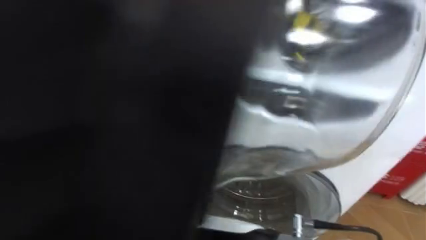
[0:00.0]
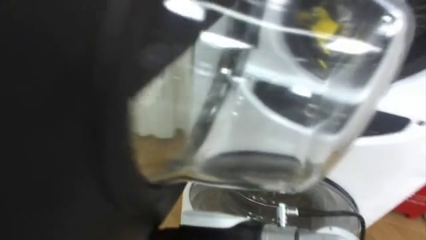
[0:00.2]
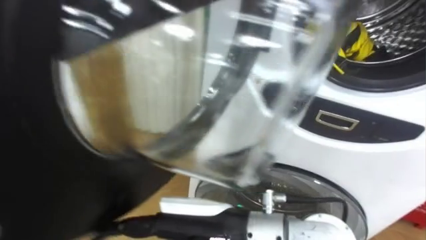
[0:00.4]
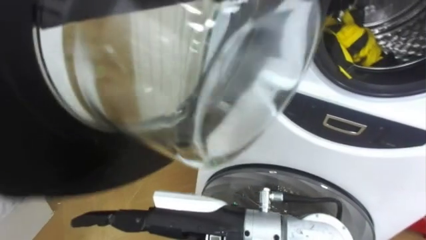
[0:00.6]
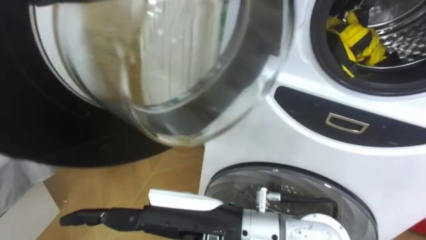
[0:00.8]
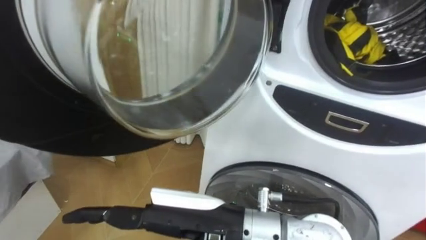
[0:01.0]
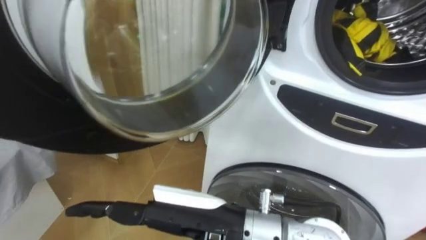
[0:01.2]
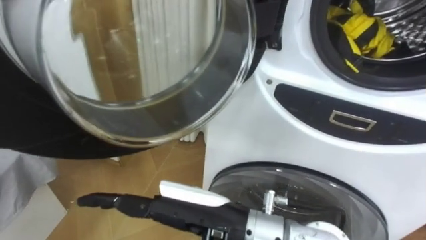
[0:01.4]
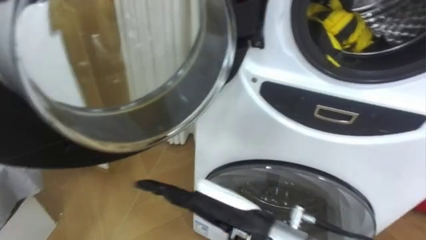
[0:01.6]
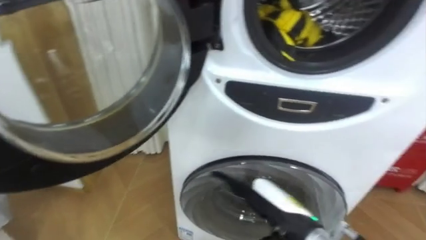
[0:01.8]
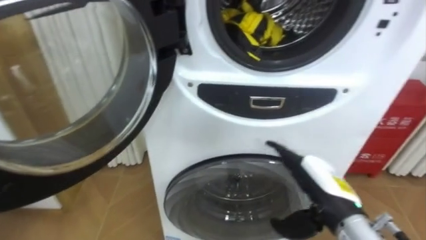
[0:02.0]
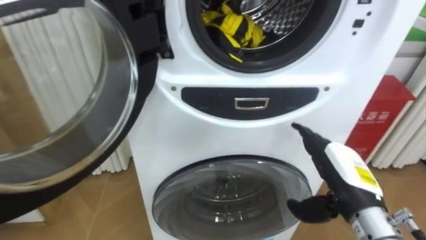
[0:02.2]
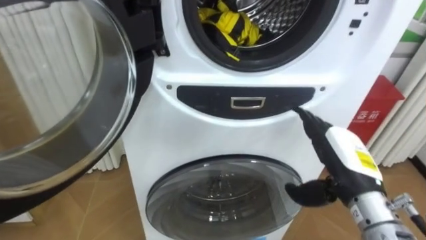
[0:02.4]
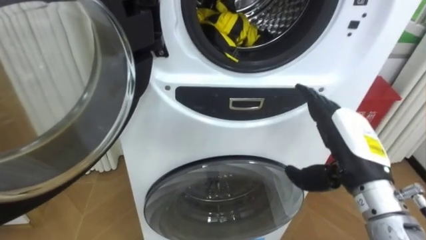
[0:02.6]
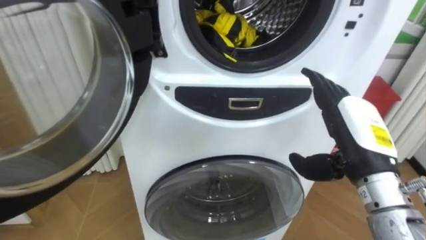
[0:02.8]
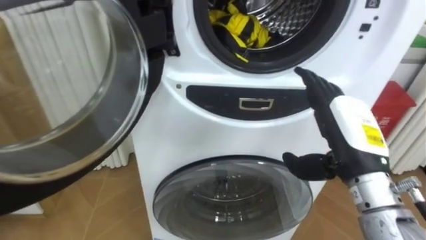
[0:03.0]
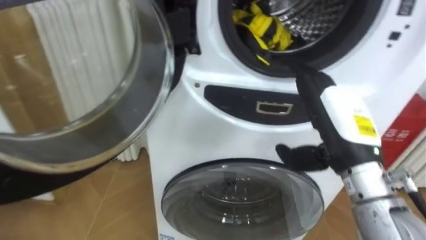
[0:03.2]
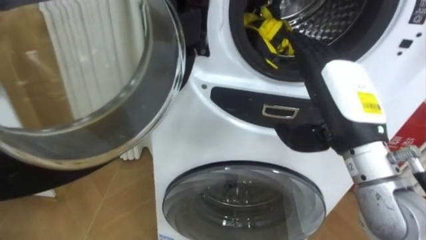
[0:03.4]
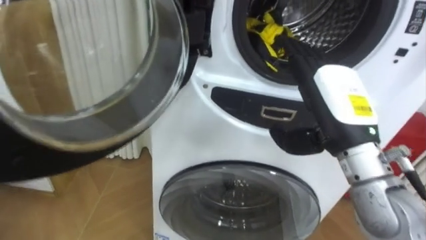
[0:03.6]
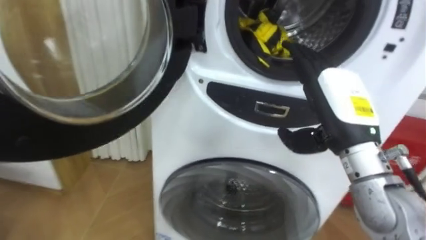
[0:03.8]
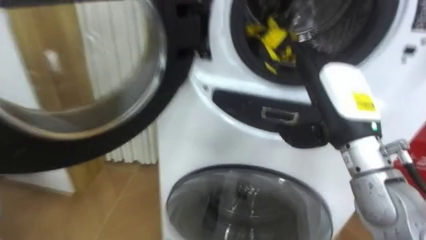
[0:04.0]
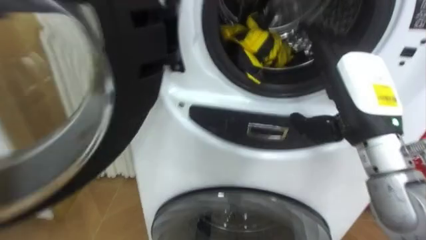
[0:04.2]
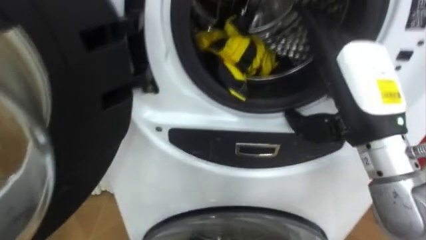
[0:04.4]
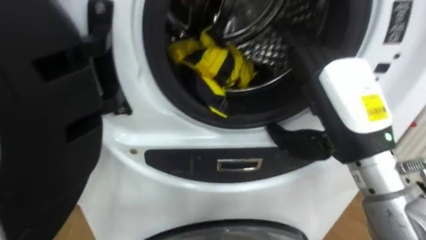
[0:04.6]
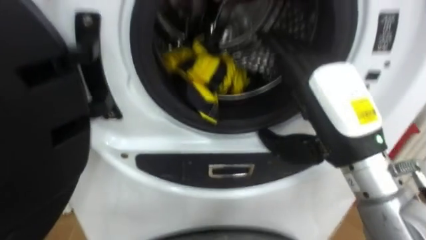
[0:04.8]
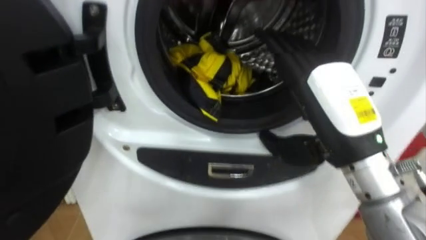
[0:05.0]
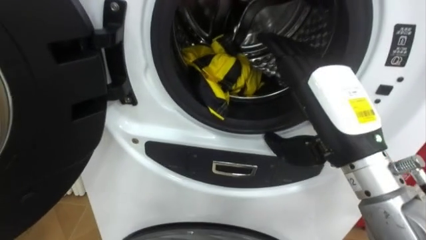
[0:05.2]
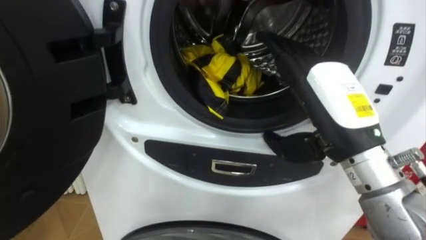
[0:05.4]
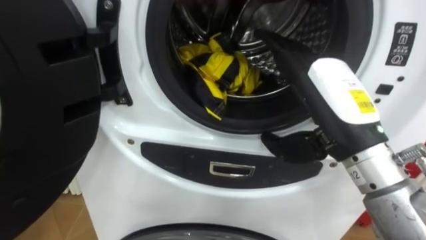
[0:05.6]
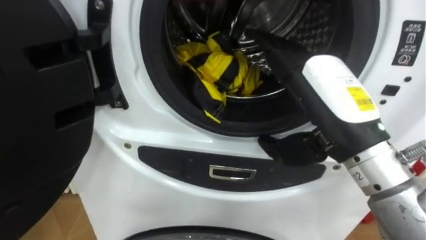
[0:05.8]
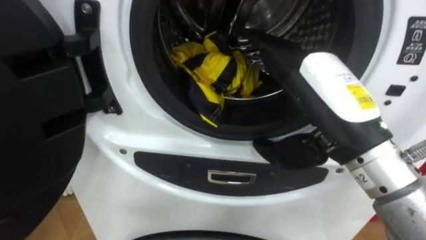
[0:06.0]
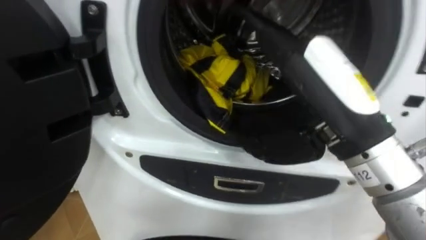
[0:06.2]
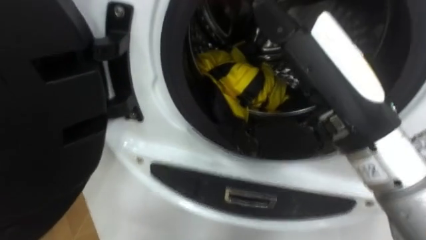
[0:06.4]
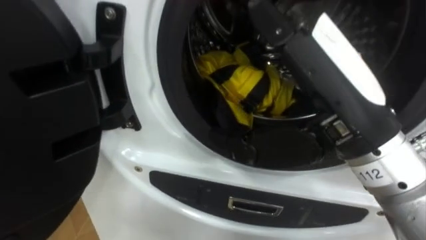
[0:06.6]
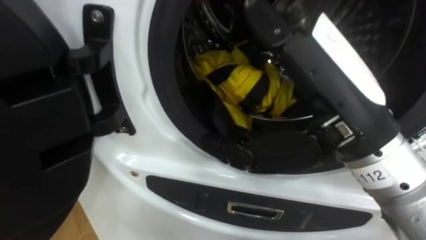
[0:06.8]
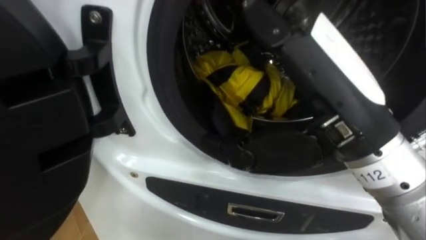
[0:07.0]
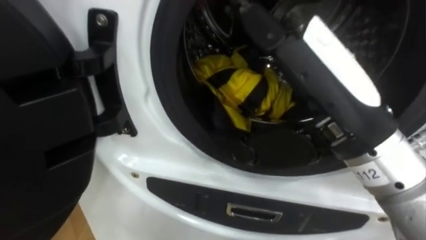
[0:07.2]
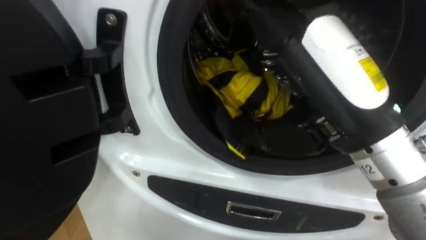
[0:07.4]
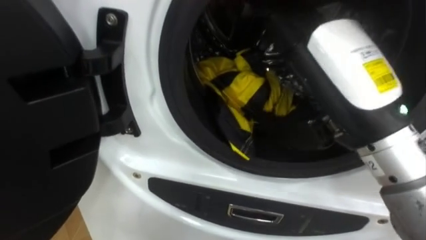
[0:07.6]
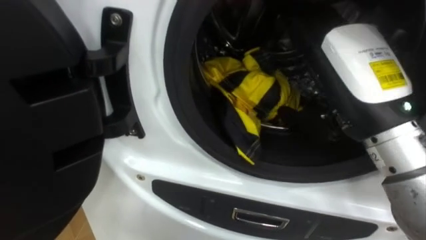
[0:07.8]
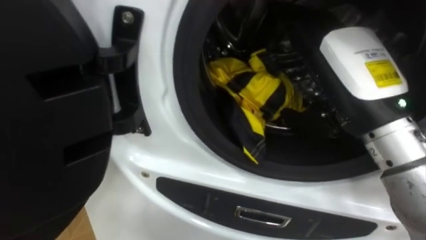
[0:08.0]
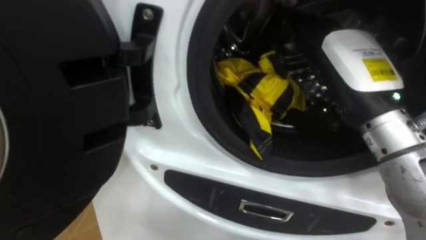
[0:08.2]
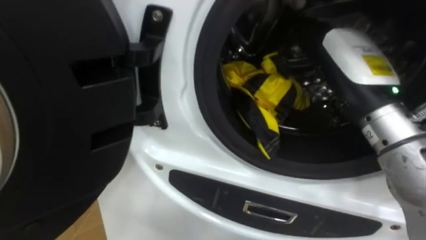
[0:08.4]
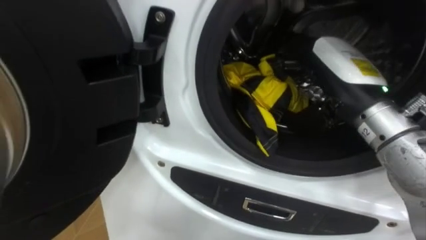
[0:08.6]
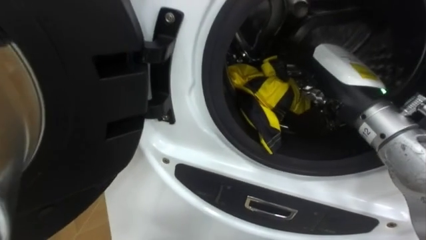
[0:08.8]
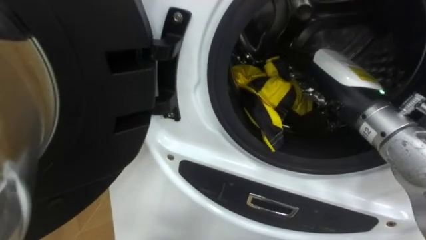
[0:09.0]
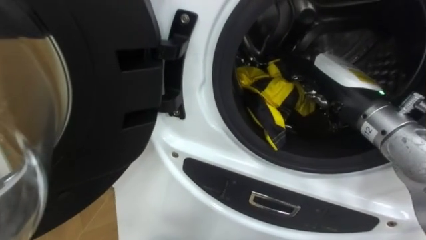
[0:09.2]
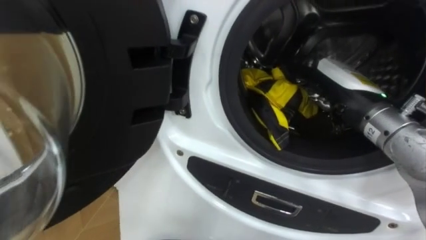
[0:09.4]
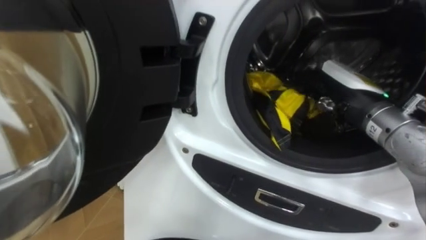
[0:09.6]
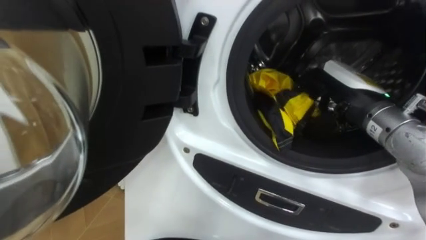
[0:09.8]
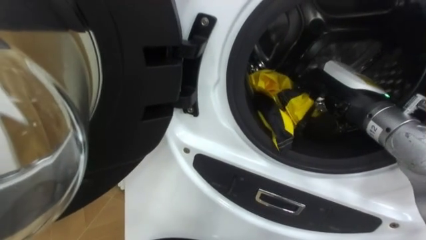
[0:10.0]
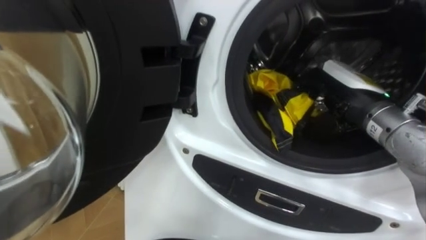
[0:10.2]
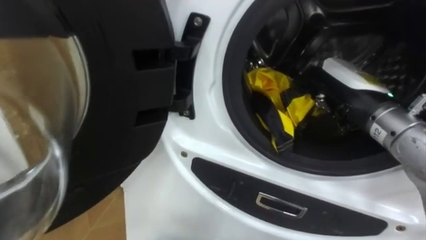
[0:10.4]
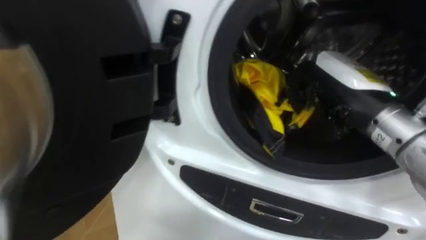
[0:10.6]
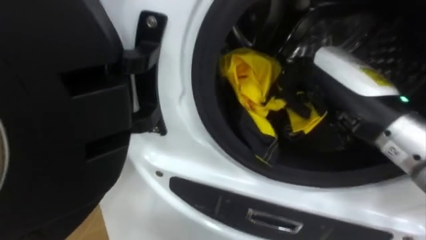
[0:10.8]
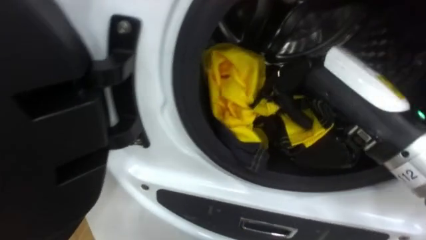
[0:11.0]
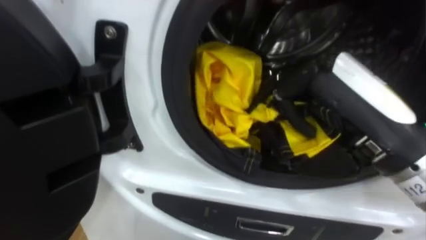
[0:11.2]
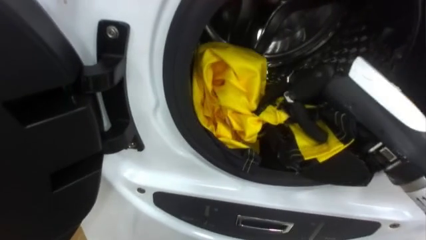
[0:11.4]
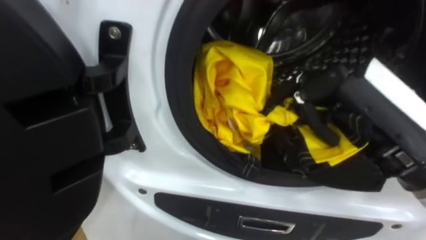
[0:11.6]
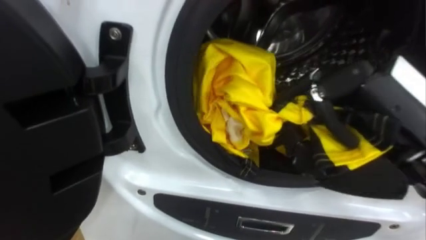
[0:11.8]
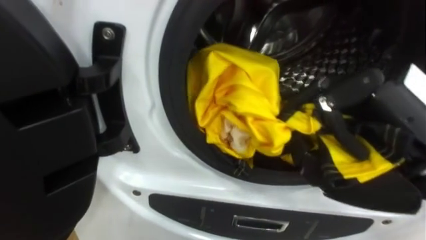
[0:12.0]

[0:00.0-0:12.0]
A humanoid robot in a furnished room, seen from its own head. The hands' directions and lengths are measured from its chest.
Task of the whole recording: Open the washing machine door, take out the yellow clothes, place them in the box on the right, and close the washing machine door.
0:01.6 to 0:03.0: The right hand moves to the right and forward, some 20 cm.
0:03.0 to 0:04.4: The right hand travels upward by roughly 5 cm.
0:04.4 to 0:06.0: The right hand ends up roughly 5 cm from where it was.
0:07.6 to 0:09.0: The right hand is displaced forward and downward by some 10 cm.
0:09.0 to 0:10.4: The right hand closes.
0:10.4 to 0:12.0: The right hand moves backward and upward, about 15 cm.

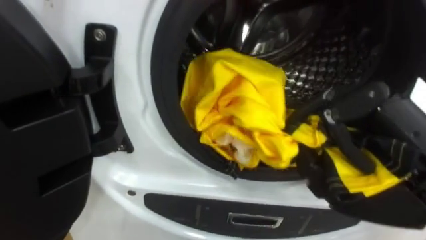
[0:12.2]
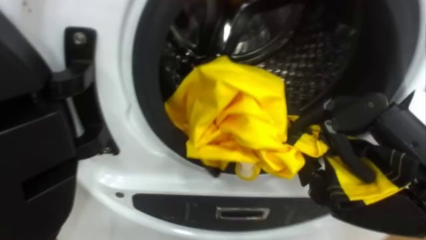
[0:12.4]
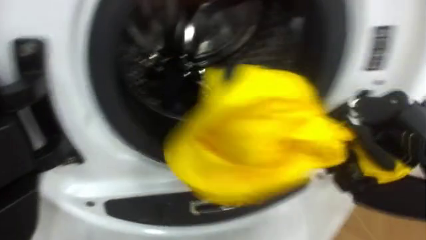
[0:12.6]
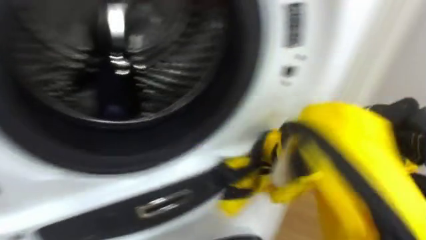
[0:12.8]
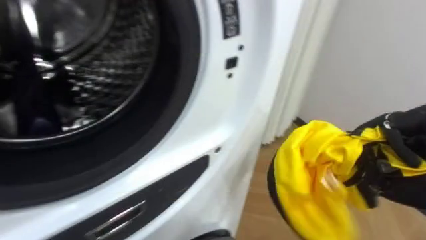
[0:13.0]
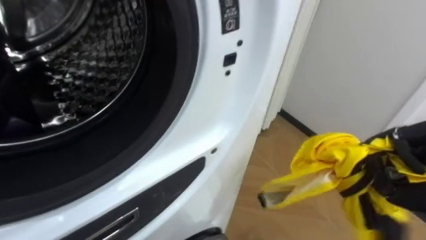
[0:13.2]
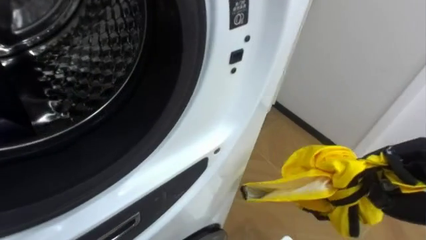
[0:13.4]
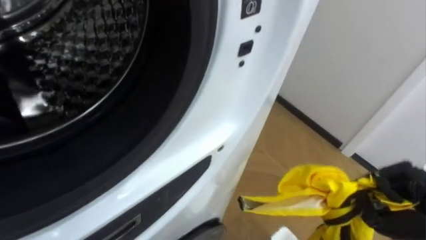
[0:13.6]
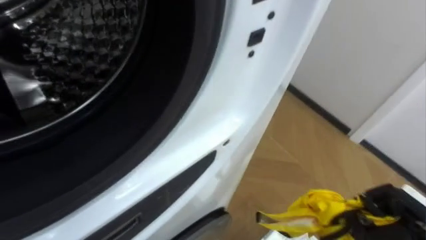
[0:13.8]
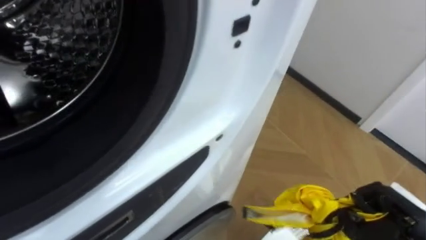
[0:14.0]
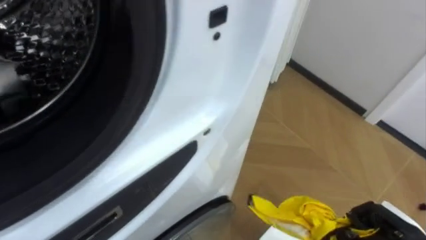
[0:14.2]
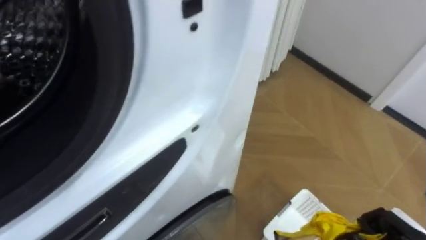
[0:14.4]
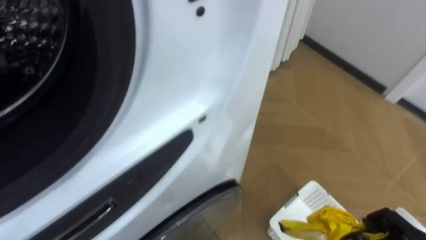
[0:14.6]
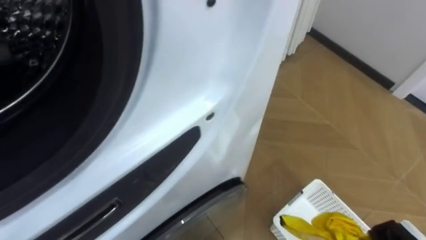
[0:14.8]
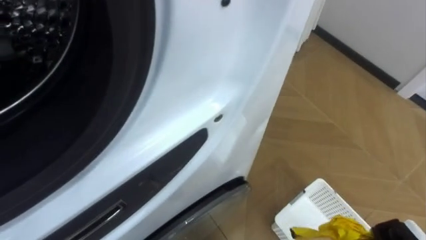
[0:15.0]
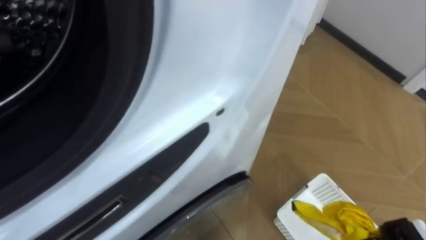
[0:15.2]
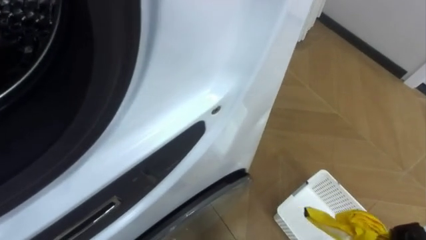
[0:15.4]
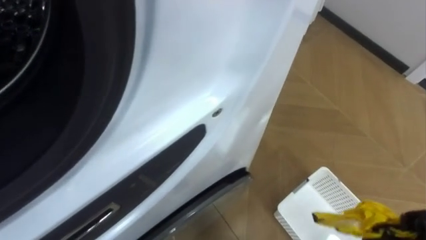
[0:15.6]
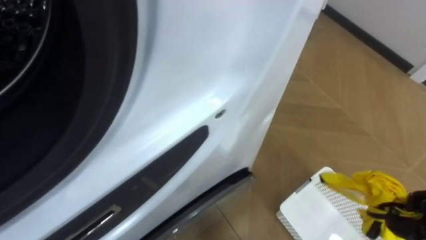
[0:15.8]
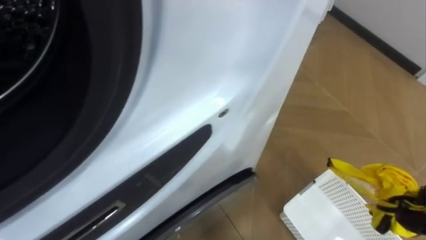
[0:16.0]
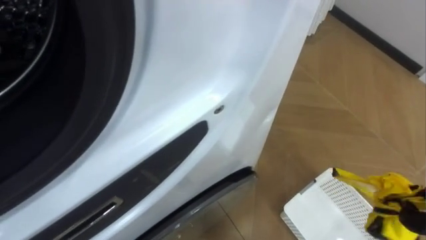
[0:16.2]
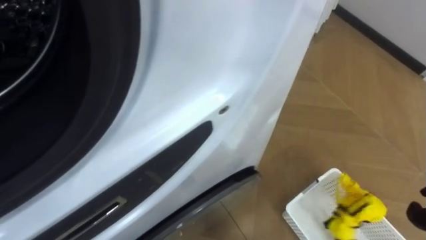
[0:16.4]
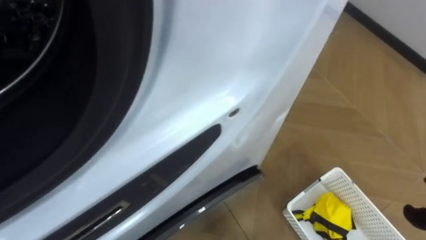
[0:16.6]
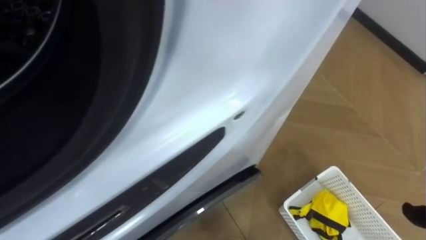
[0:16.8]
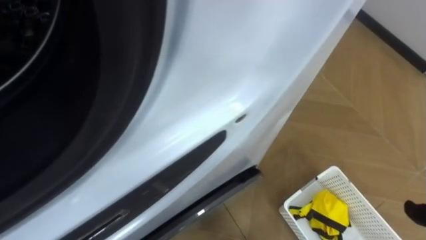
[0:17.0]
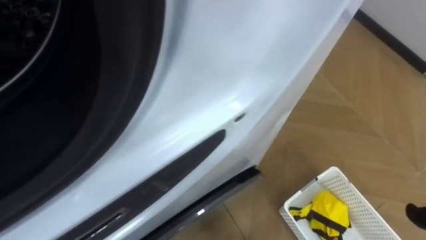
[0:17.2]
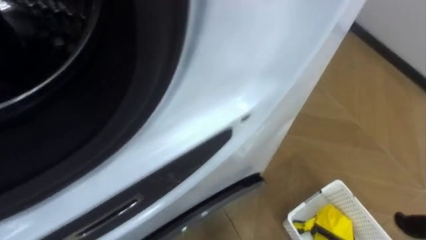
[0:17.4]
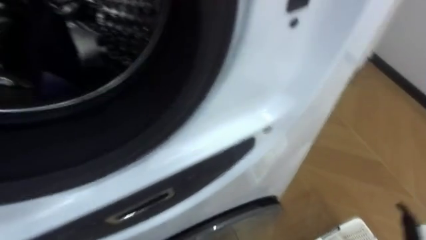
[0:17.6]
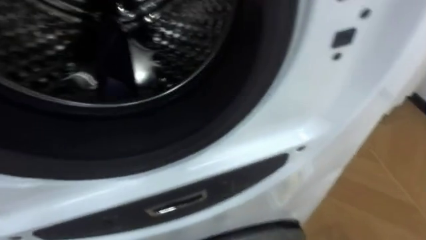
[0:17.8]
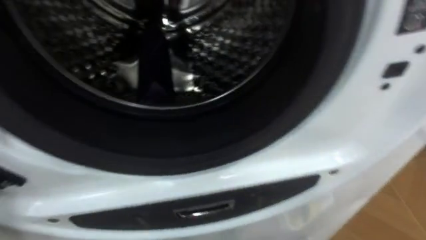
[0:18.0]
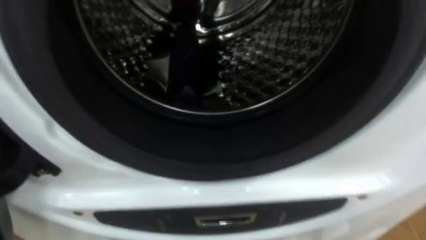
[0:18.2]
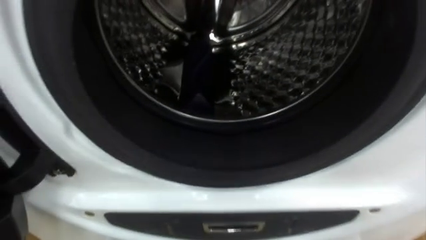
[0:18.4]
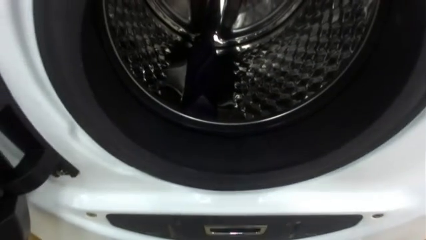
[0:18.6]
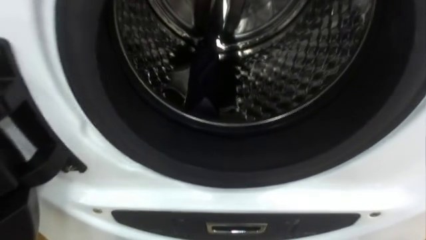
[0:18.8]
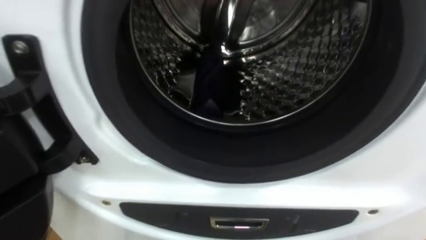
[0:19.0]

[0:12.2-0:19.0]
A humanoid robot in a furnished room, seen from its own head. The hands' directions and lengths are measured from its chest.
Task of the whole recording: Open the washing machine door, take out the yellow clothes, place them in the box on the right, and close the washing machine door.
0:12.2 to 0:13.6: The robot faces about 30 degrees further to its right.
0:17.6 to 0:19.0: The robot turns to its left by roughly 20 degrees.
